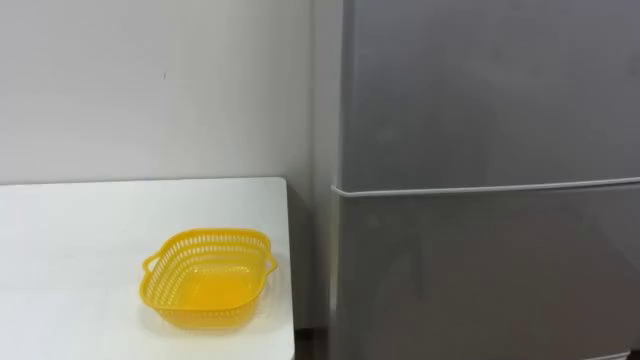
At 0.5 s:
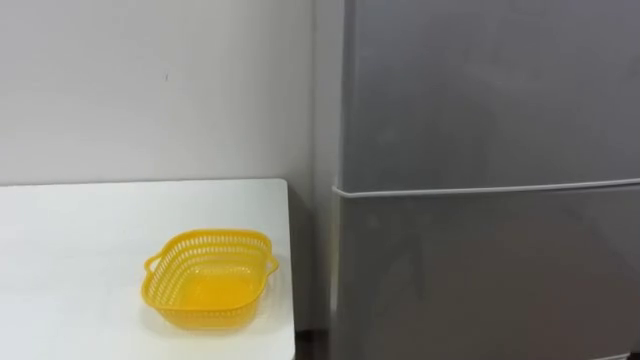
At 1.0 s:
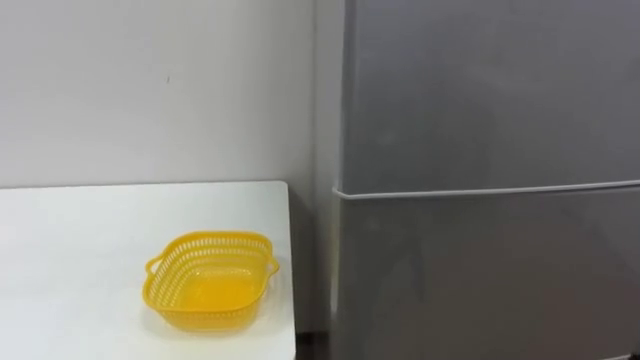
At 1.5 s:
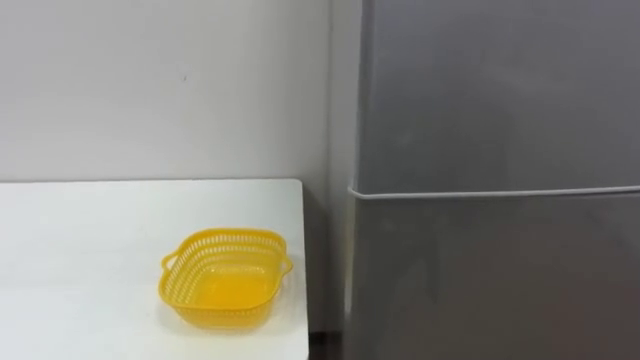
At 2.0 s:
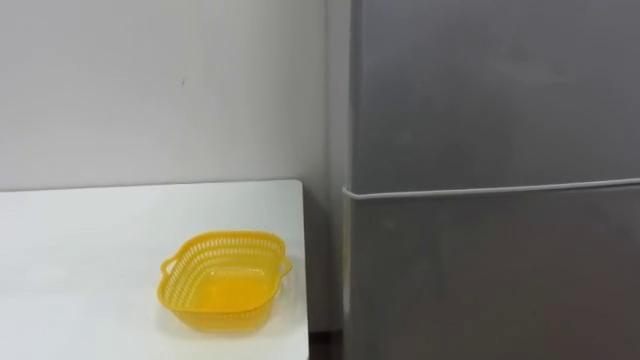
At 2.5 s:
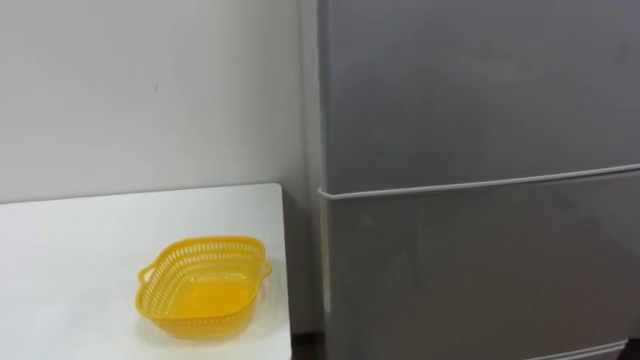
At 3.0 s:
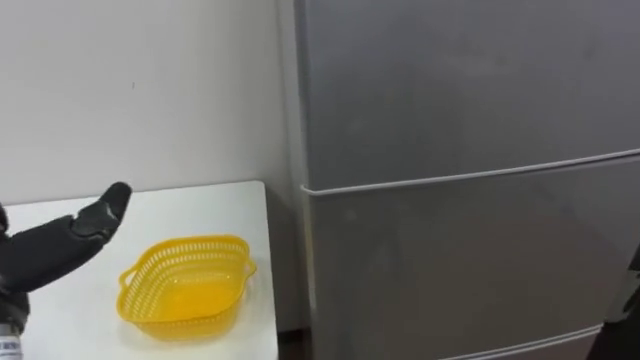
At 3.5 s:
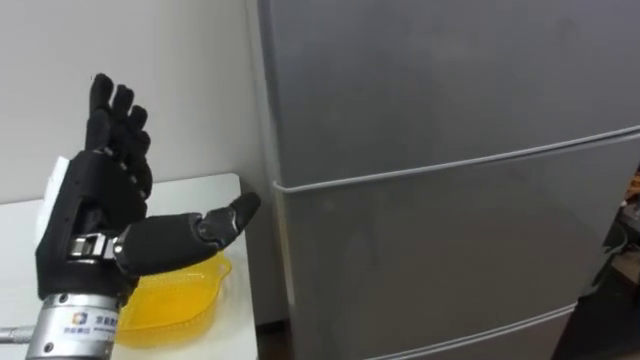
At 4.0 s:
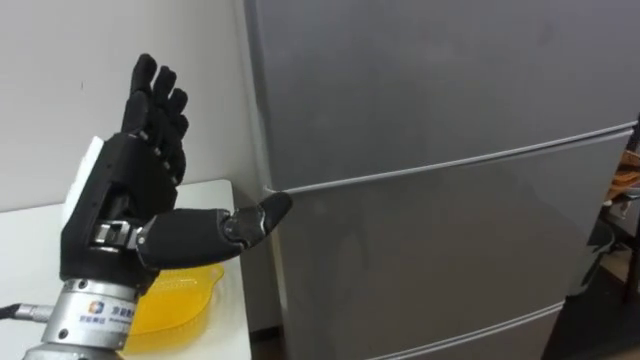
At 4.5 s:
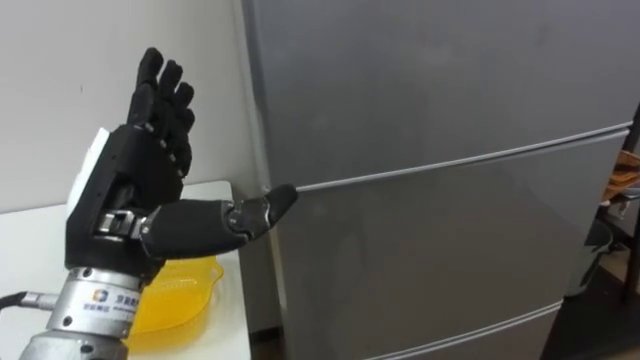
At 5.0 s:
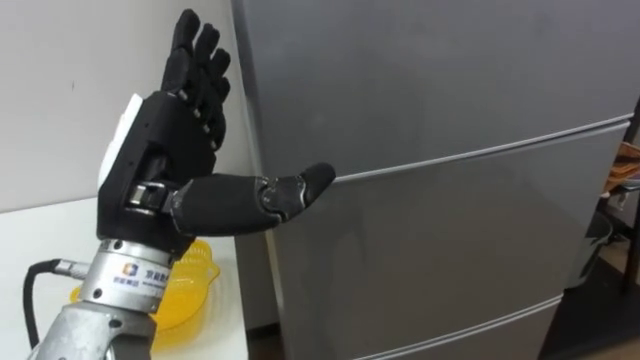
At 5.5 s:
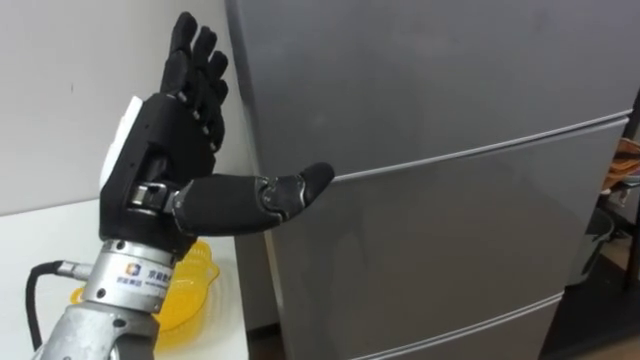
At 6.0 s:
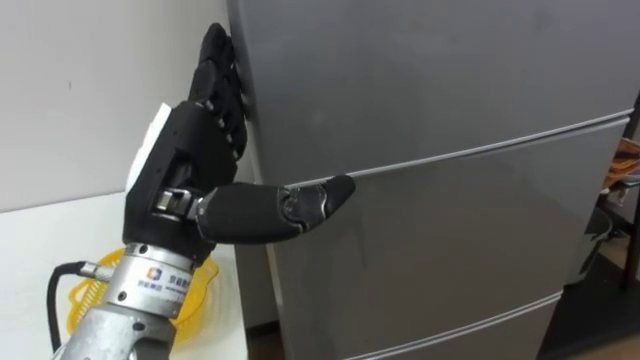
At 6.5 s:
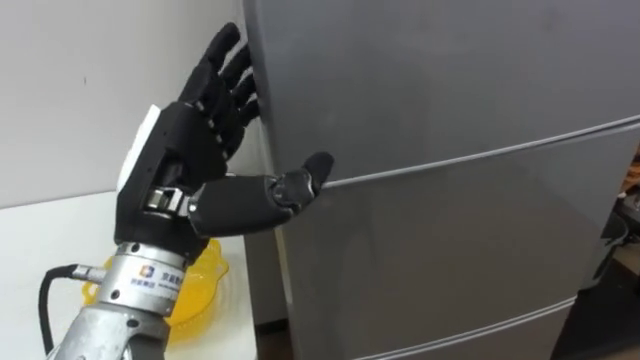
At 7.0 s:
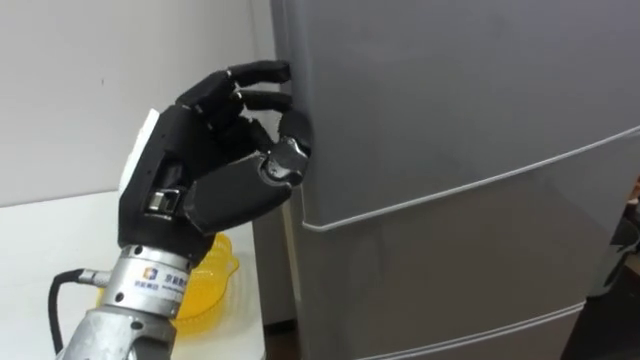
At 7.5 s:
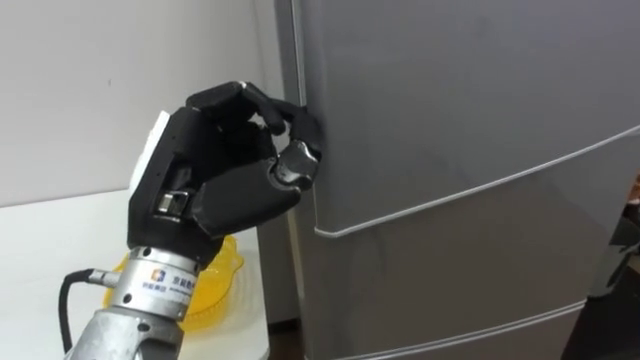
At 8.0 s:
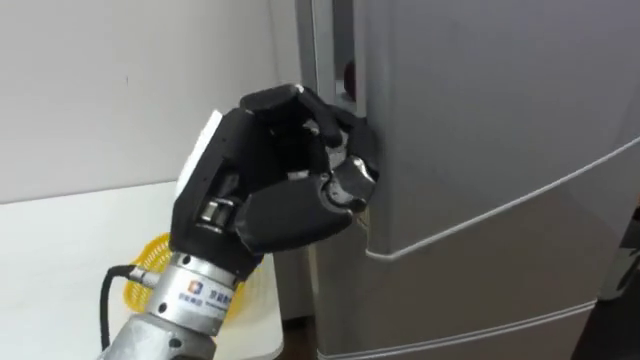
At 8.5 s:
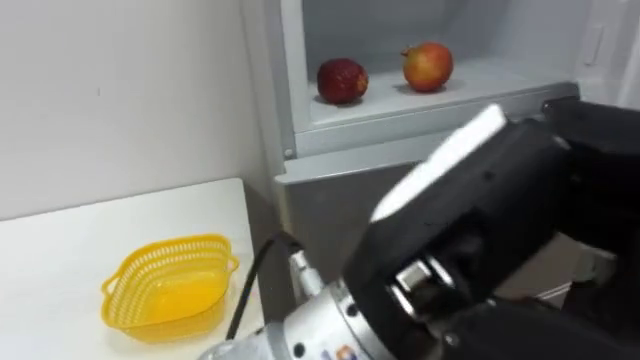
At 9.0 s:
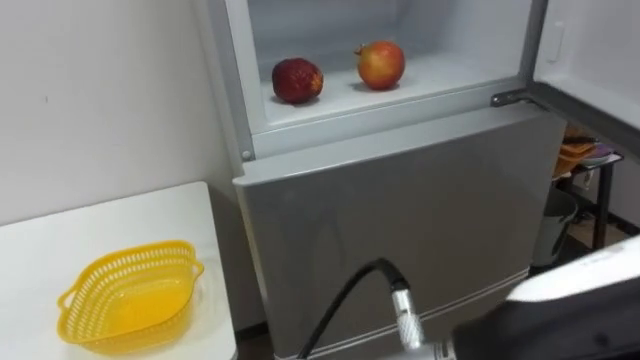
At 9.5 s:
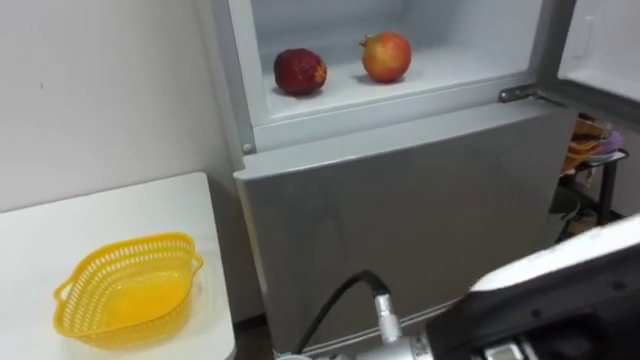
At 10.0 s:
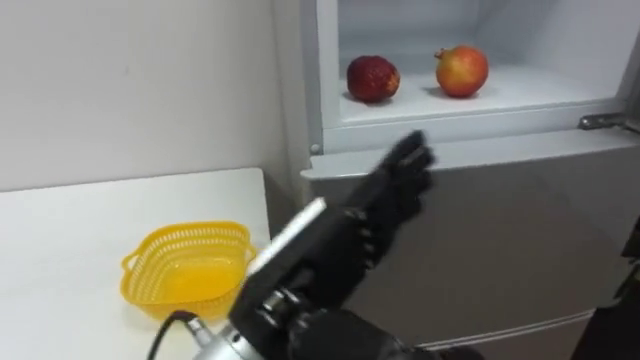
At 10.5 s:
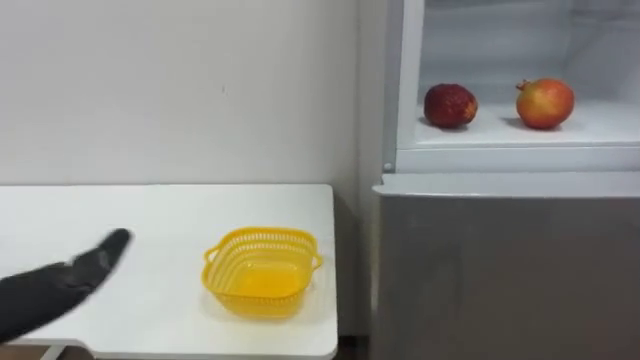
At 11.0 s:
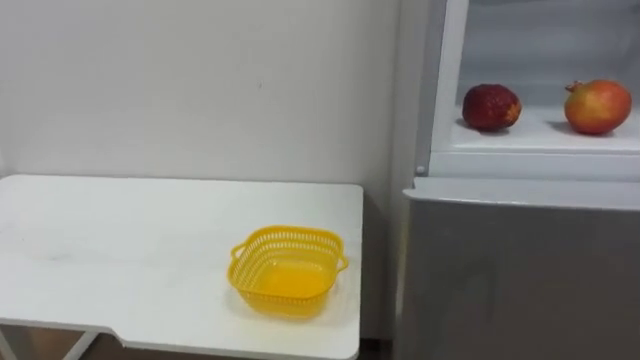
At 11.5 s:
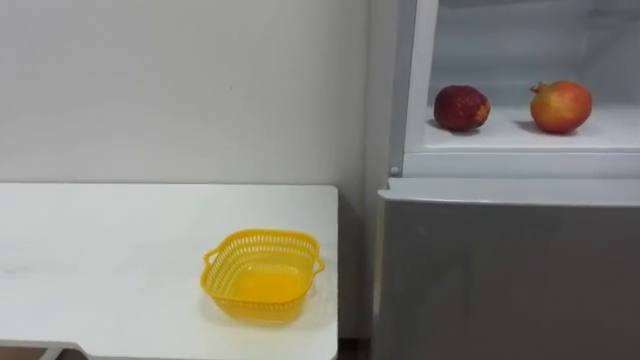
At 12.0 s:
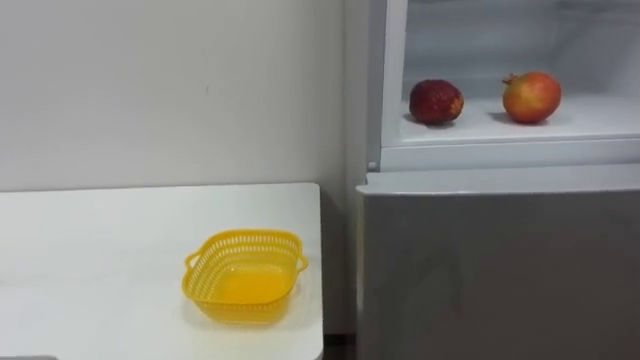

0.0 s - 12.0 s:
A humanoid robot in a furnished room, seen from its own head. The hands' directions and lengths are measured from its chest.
Task of the whole recording: Open the refrigerator door, take out the apple and the pomegranate, place them in the fruit basket on the left, and close the refrigerator door.
4.0 s - 6.0 s: The left hand goes about 5 cm to the right.
6.0 s - 8.0 s: The left hand closes its fingers.
8.0 s - 10.0 s: The left hand is displaced to the right by roughly 5 cm, and opens.

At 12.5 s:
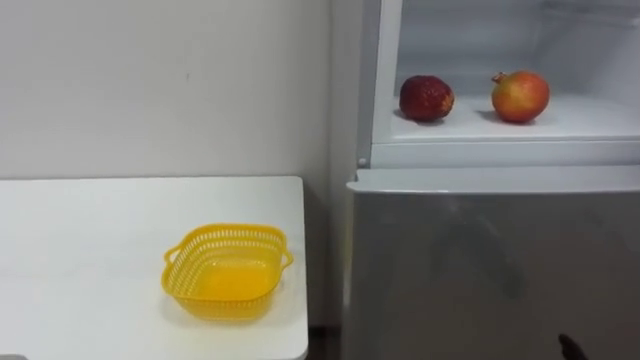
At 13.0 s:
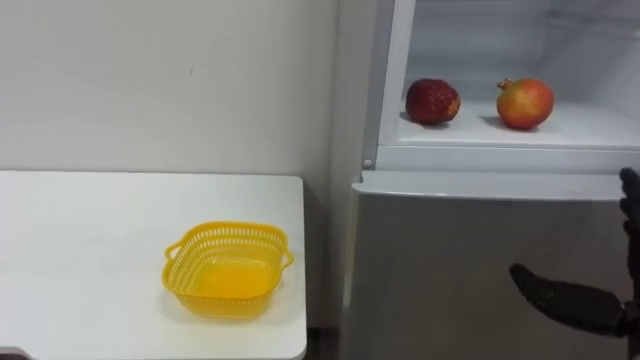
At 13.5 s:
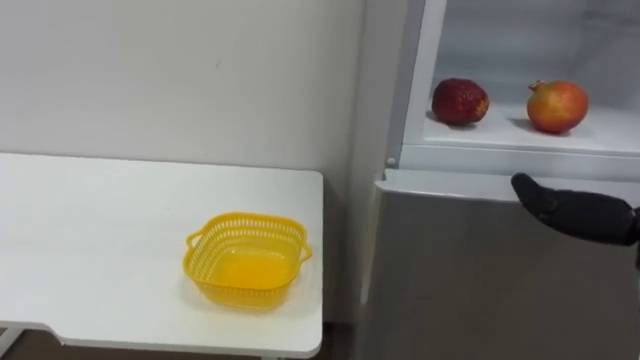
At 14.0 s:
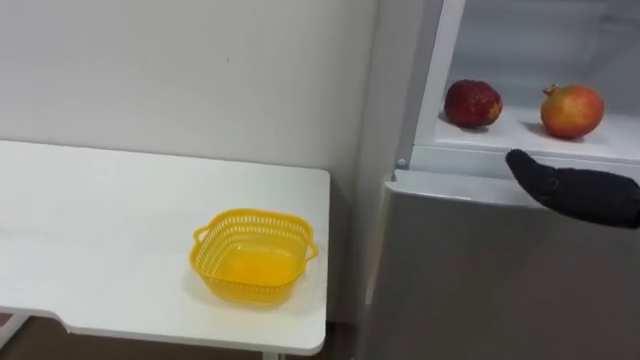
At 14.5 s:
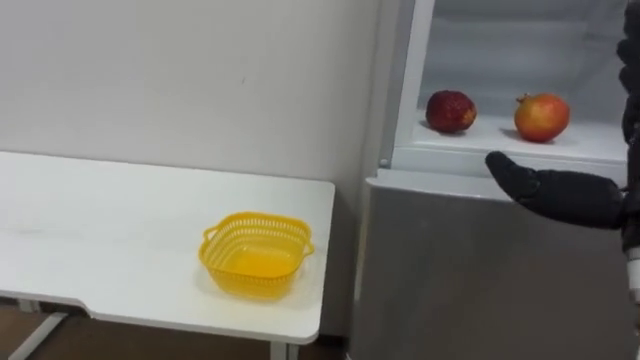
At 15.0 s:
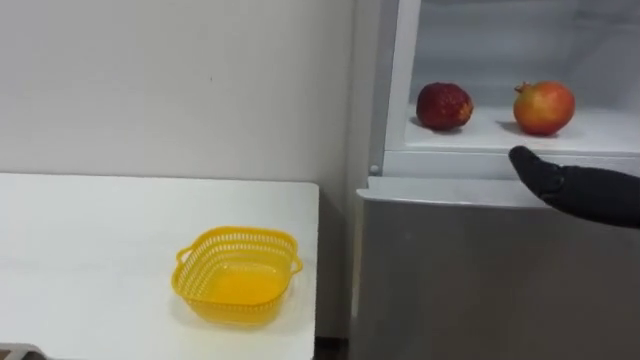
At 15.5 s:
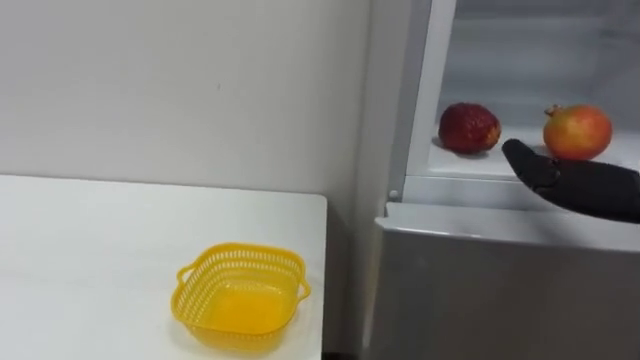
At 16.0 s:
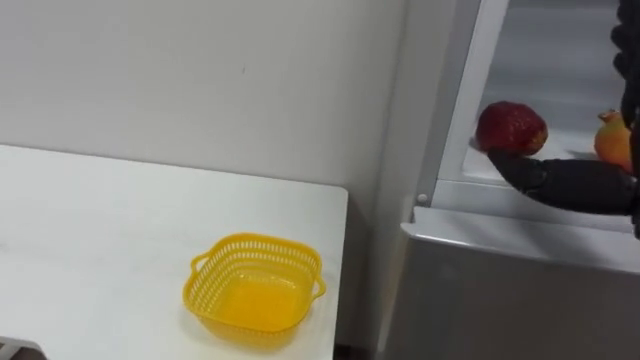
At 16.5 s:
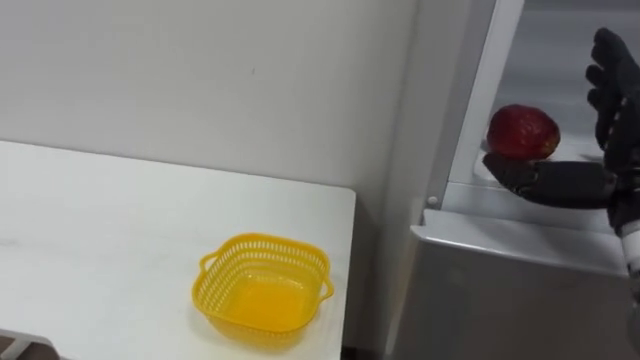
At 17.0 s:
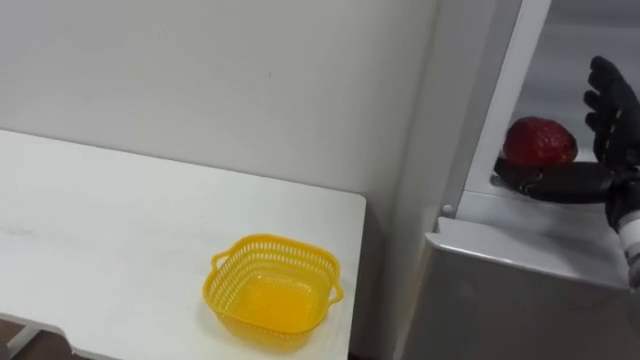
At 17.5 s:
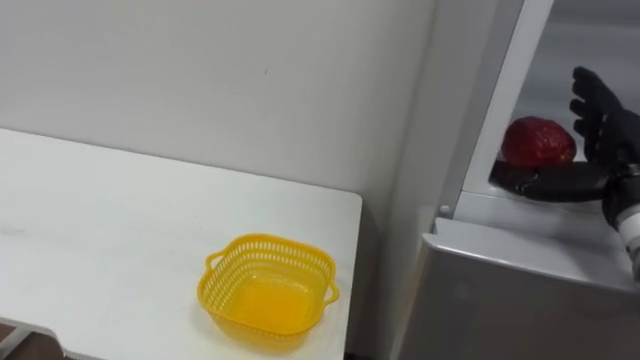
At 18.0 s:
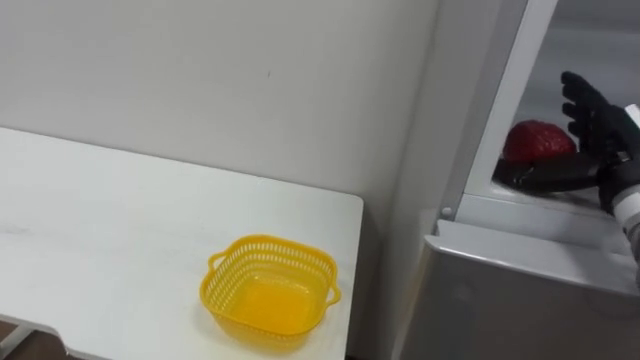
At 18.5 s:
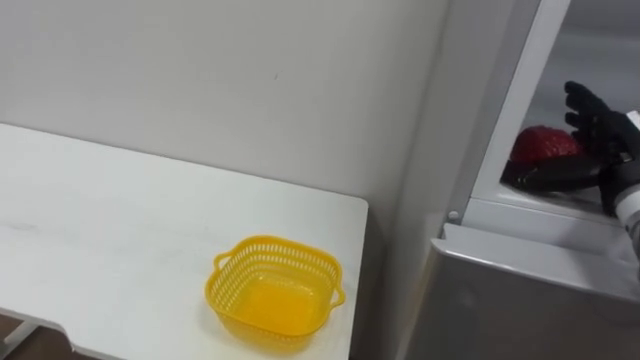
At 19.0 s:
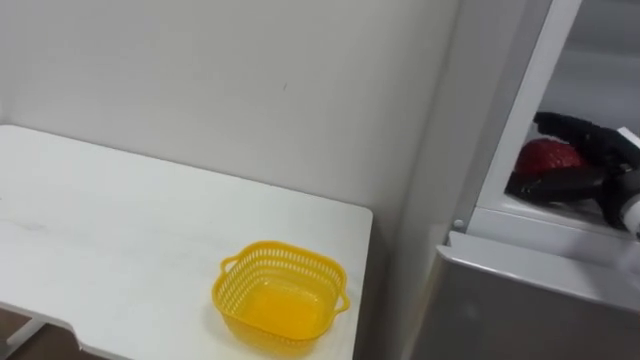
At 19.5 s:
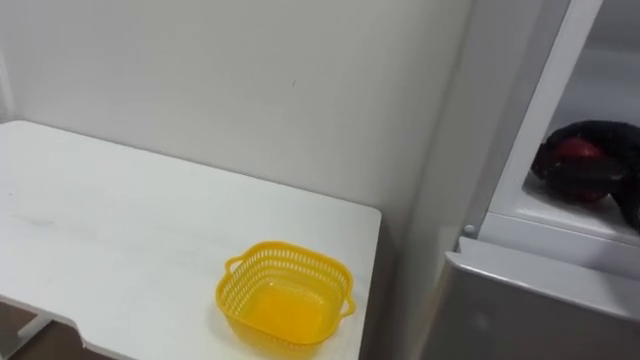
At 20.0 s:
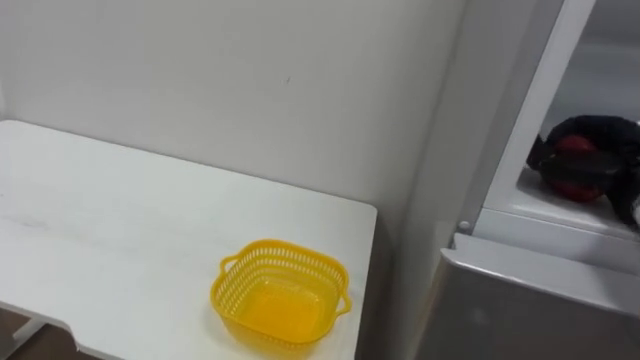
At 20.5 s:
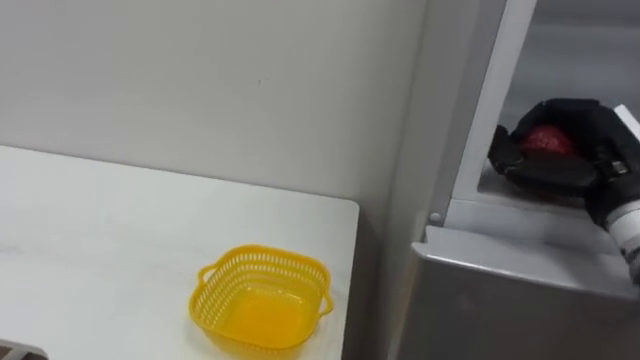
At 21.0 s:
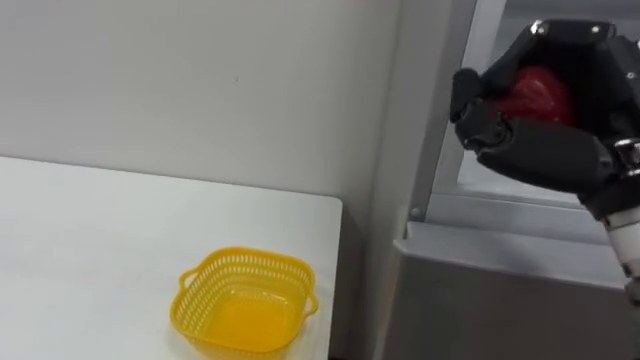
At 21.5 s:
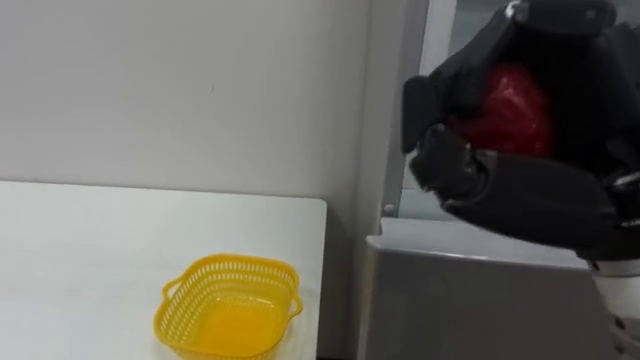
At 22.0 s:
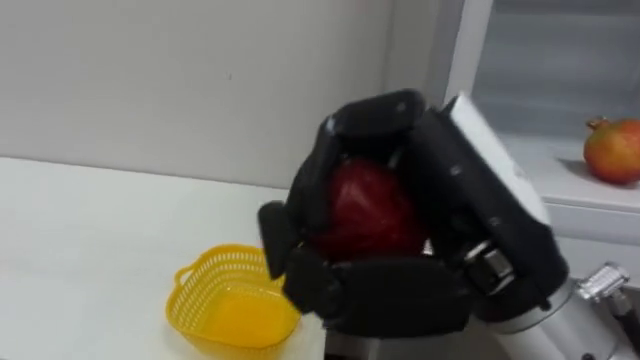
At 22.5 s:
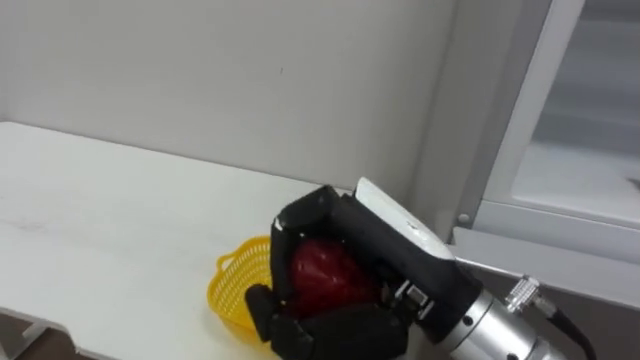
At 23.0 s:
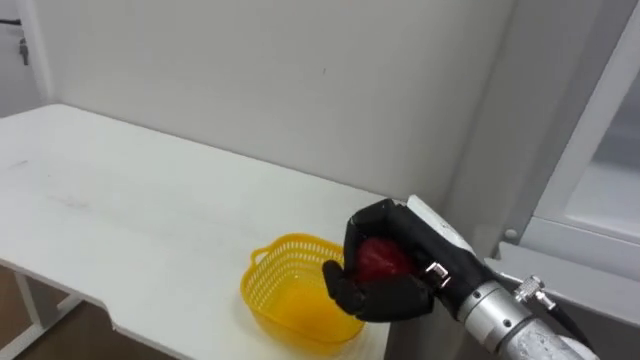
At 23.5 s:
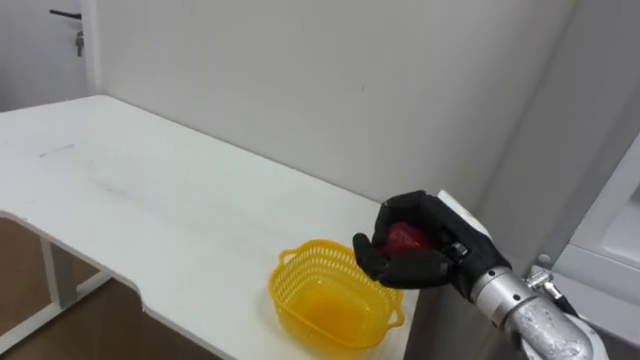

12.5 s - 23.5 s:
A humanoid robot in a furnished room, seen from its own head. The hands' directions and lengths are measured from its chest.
Task of the whole recording: Open the refrigerator door, take out the apple and the pomegranate, place them in the fruit basket on the left, and close the refrigerator door.
18.0 s - 20.0 s: The right hand closes its fingers.
20.0 s - 21.5 s: The right hand moves backward, to the left and upward, roughly 25 cm.
21.5 s - 23.5 s: The right hand shifts roughly 20 cm downward and forward.
